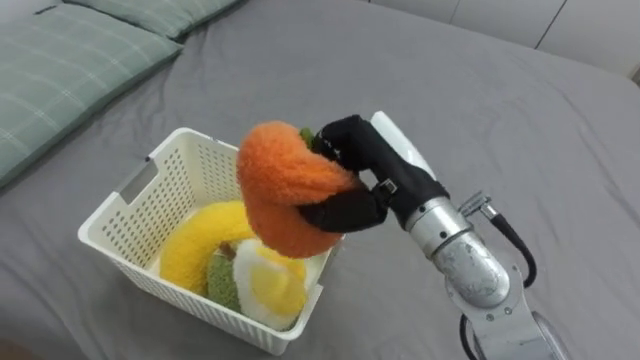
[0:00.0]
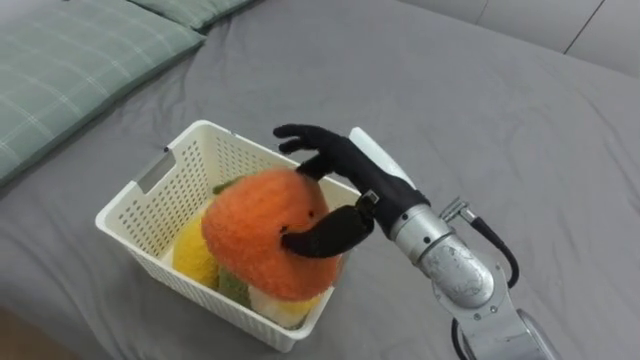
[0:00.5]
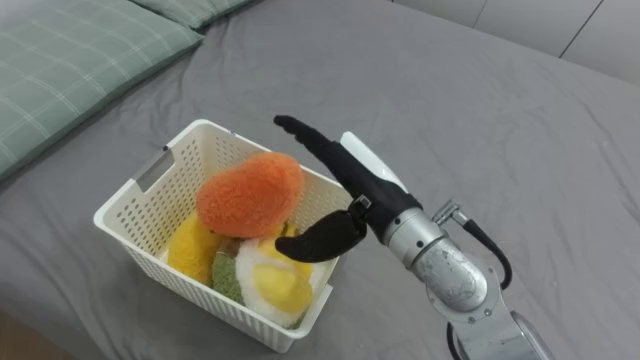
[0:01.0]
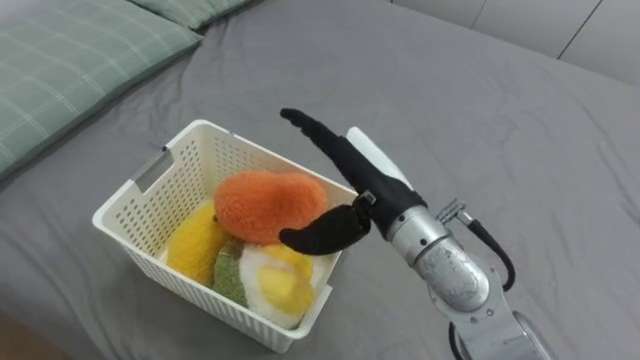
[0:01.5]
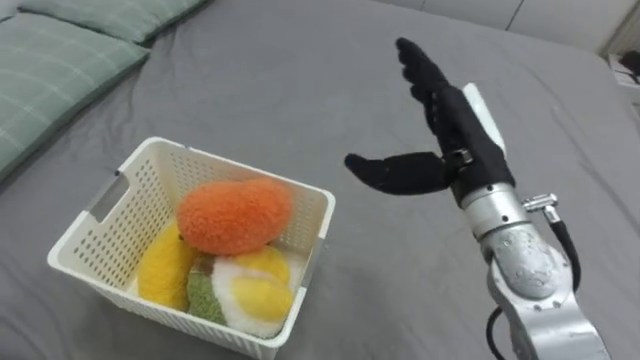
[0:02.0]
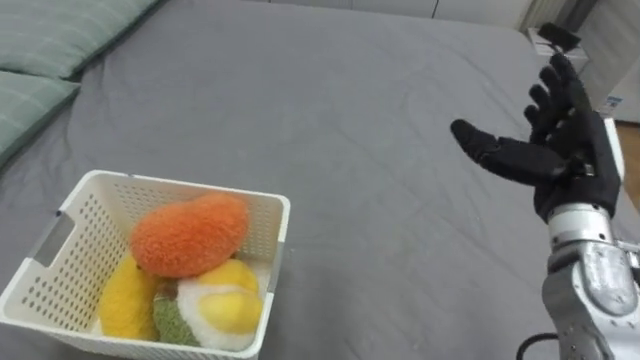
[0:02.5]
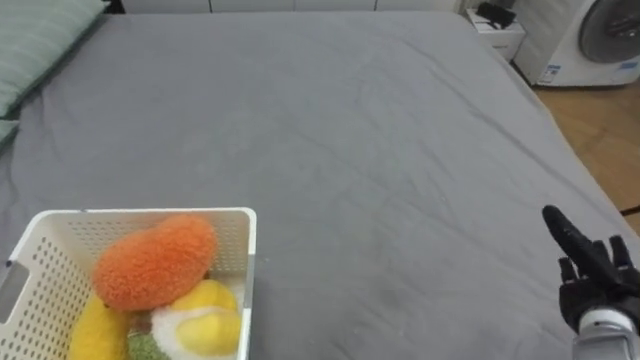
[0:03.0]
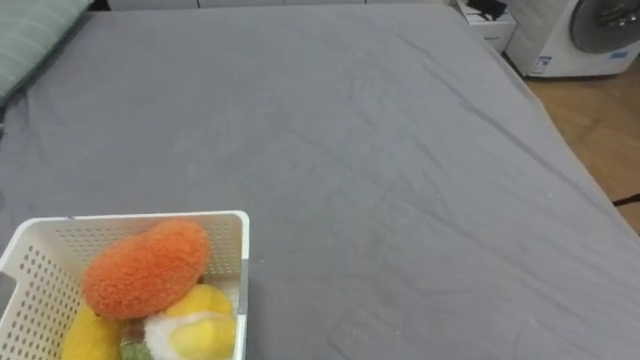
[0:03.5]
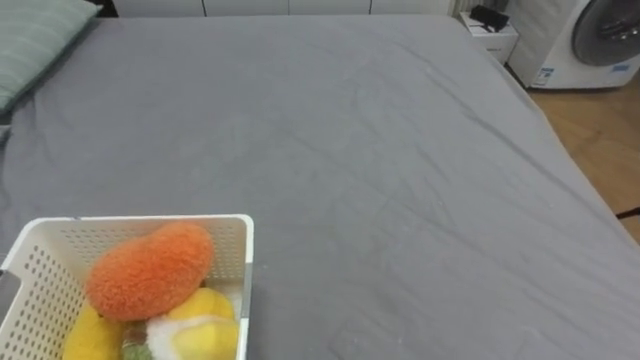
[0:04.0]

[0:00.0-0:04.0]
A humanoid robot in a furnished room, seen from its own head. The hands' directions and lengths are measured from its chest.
Task of the whole recording: Put the toys on the bed into the basket on the left.
0:00.0 to 0:02.0: The right hand moves to the right, approximately 5 cm, and opens its fingers.

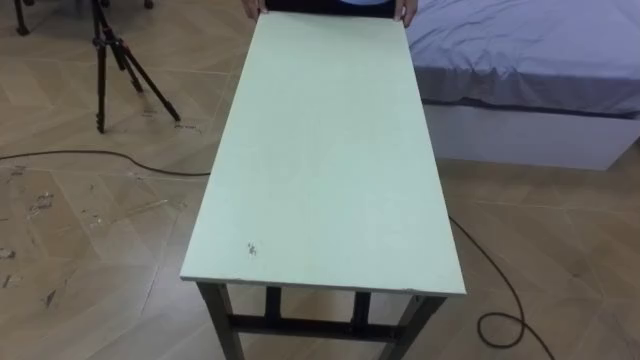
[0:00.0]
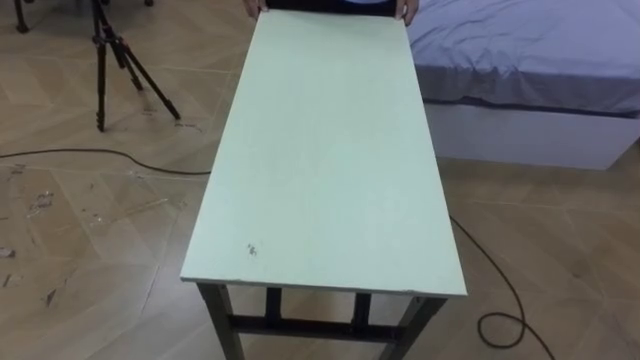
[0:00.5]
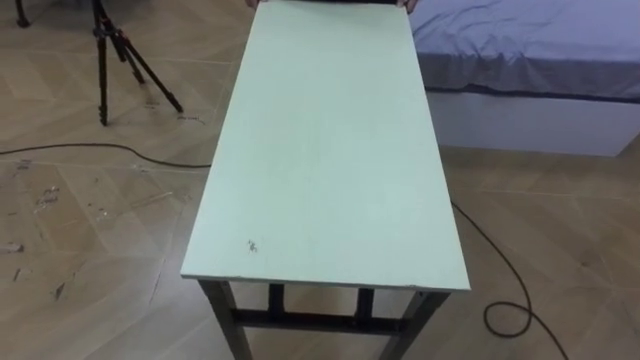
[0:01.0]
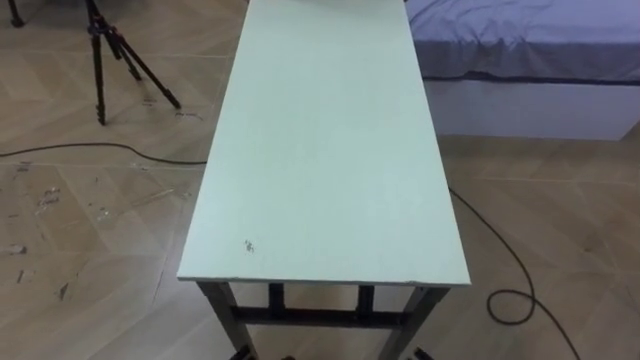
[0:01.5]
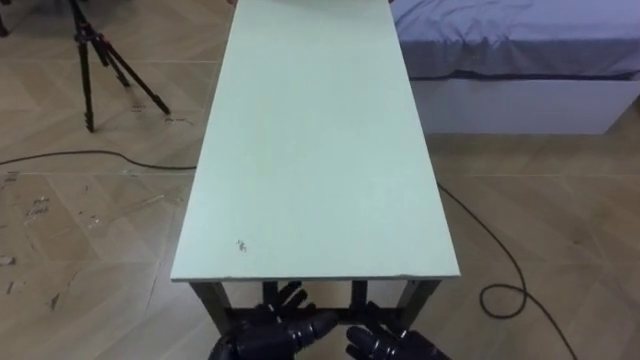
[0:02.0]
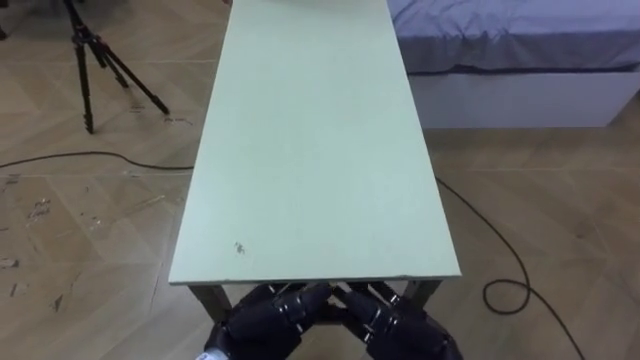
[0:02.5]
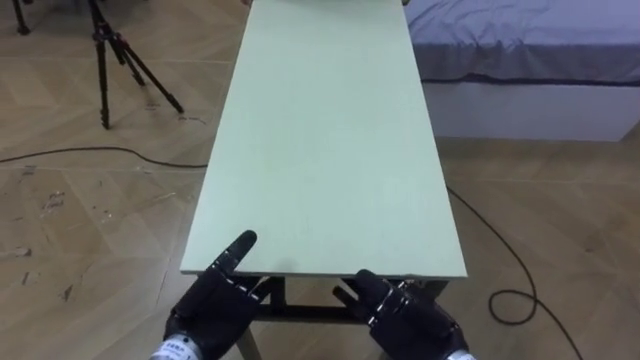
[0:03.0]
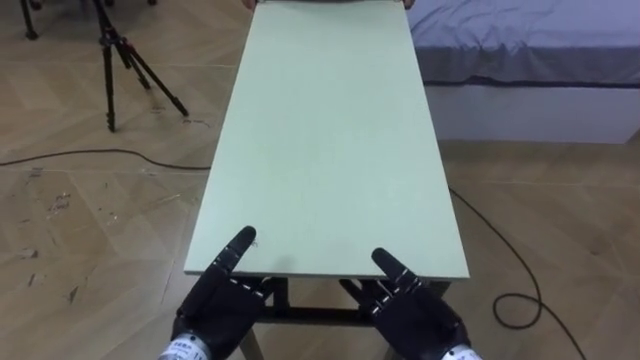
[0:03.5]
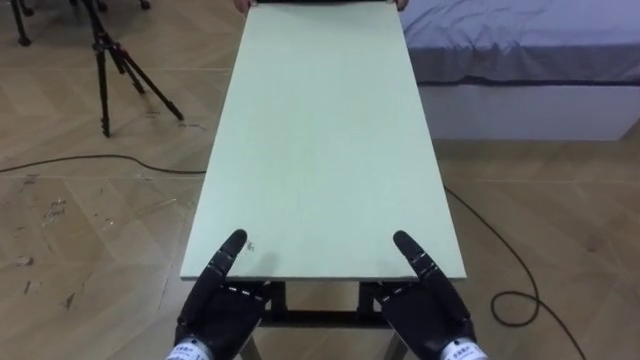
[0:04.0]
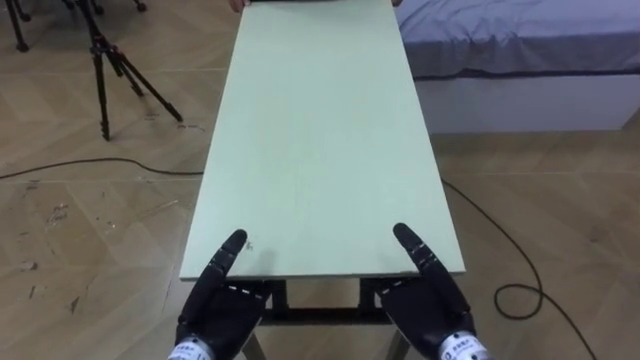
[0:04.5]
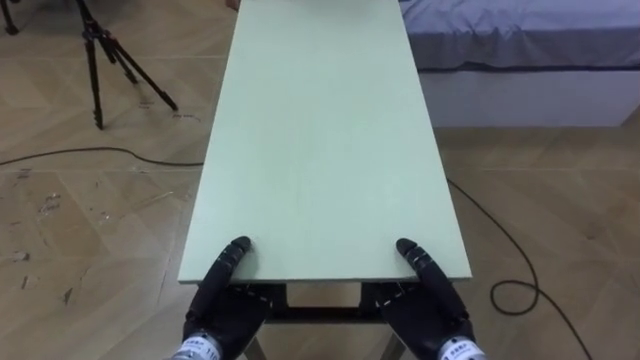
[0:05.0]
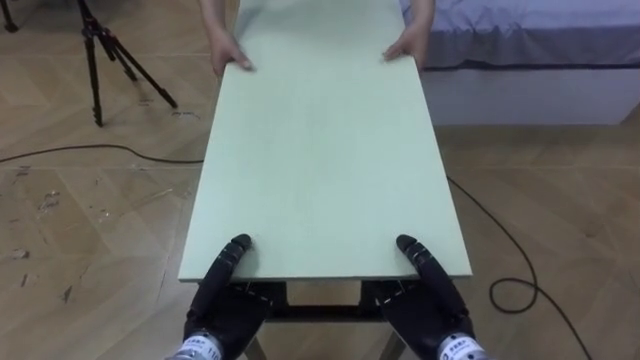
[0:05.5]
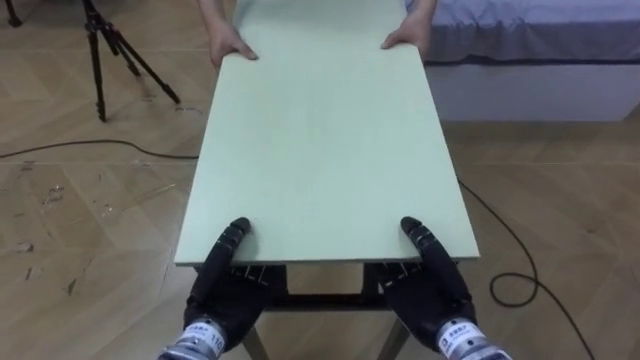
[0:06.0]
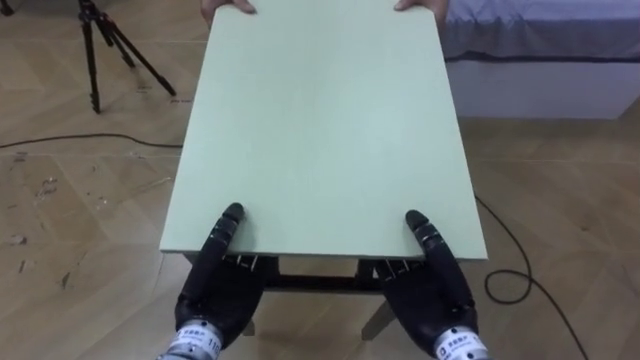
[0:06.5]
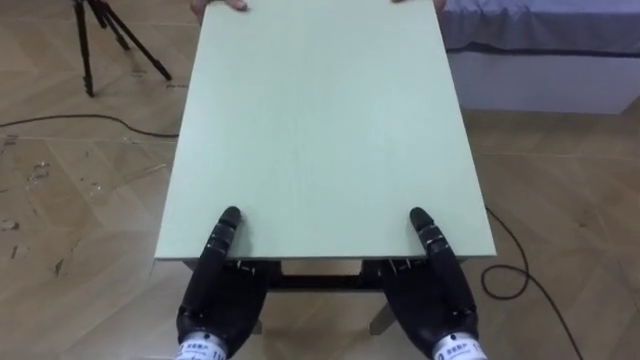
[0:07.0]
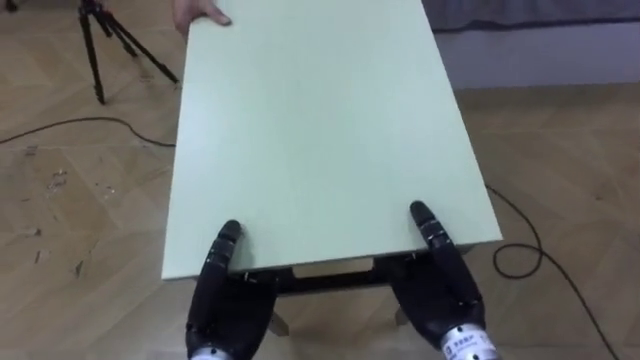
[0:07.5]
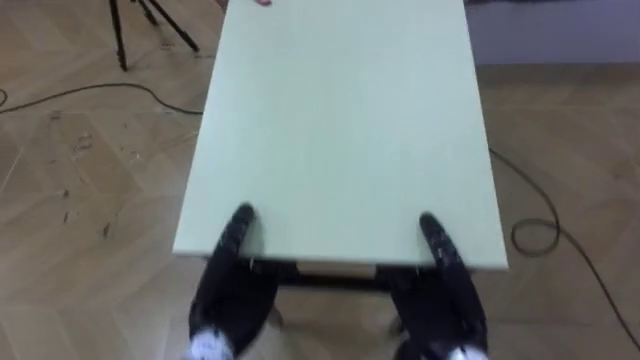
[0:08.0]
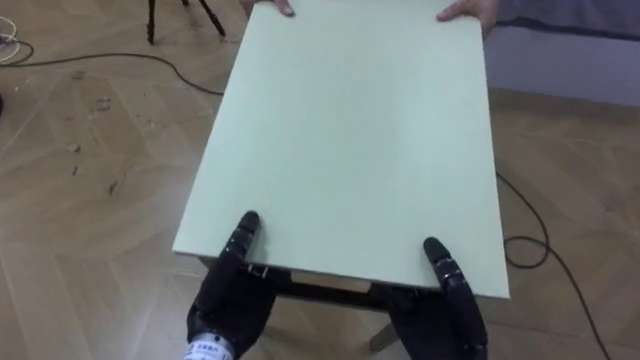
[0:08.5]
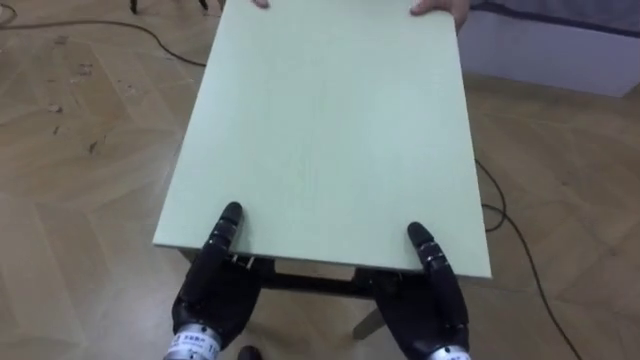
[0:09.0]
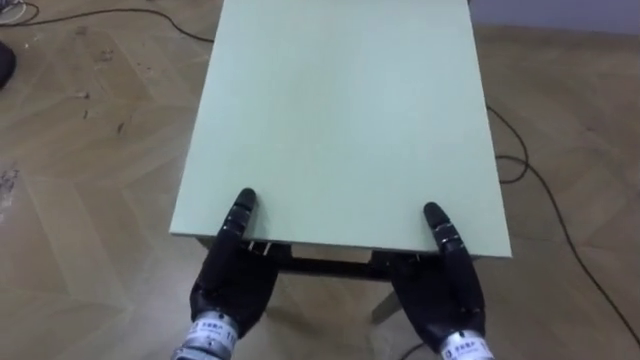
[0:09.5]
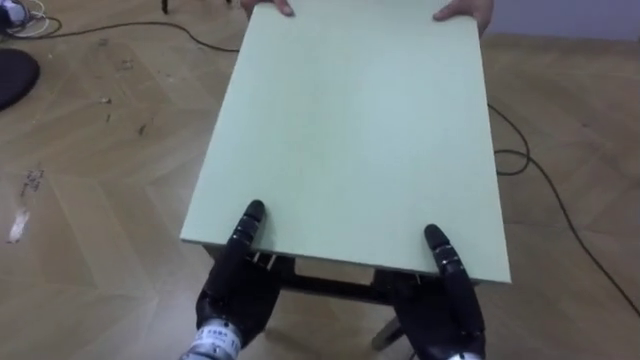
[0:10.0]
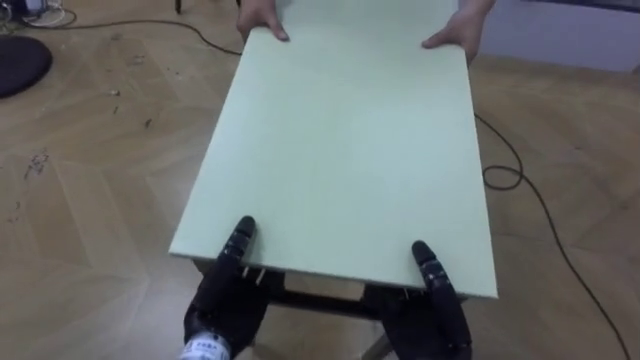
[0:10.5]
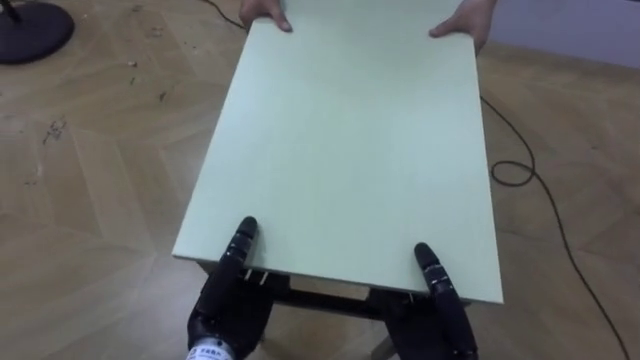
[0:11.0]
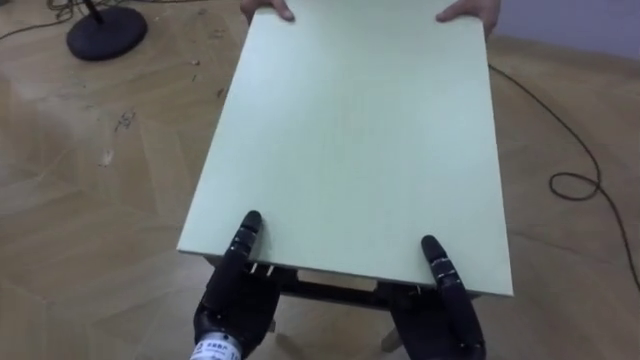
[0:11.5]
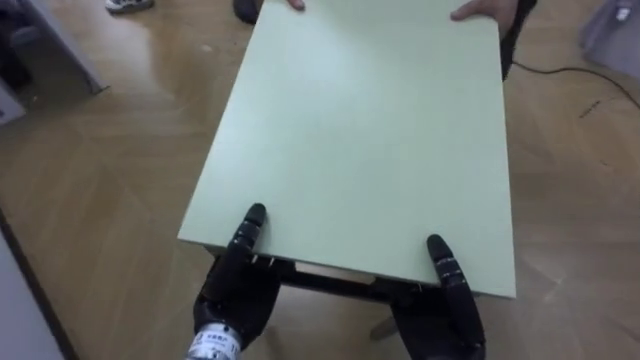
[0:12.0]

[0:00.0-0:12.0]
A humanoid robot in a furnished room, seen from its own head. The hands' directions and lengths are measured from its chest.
Task of the whole recording: Move the table to the back left with someone.
0:02.0 to 0:04.0: The left hand ends up some 5 cm from where it was.
0:04.0 to 0:06.0: The right hand closes up. Meanwhile the left hand closes its fingers.
0:10.0 to 0:12.0: The robot's body swings approximately 40 degrees to its left.

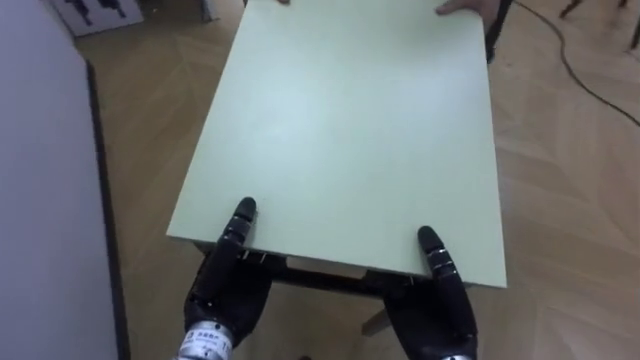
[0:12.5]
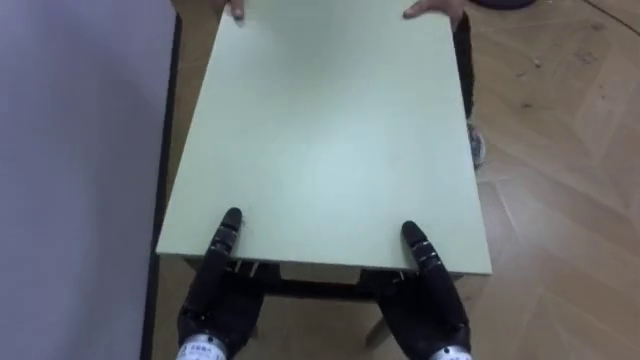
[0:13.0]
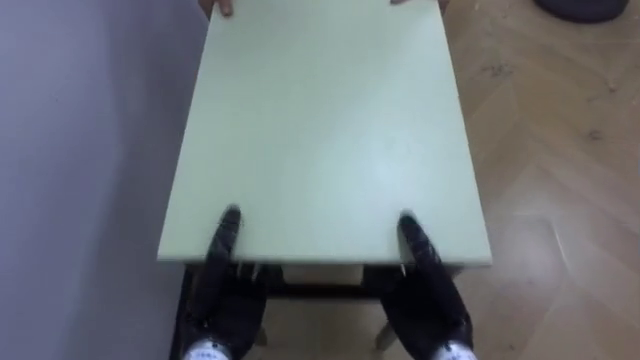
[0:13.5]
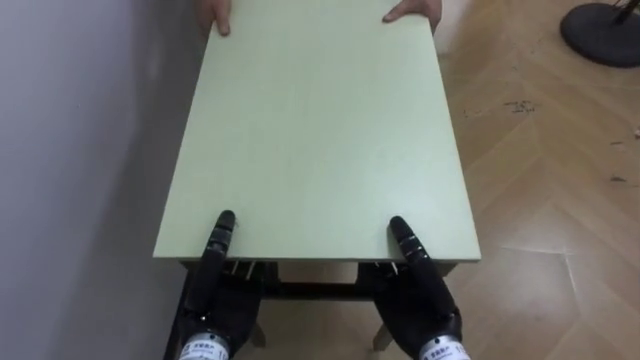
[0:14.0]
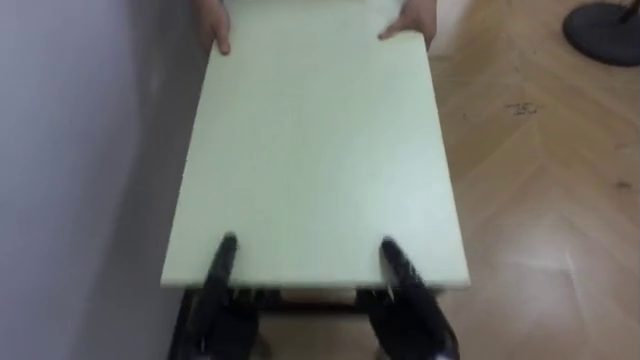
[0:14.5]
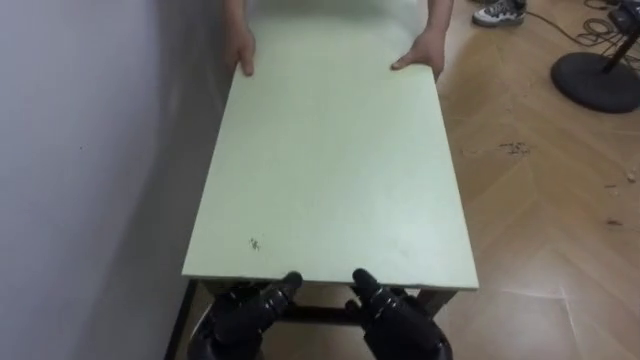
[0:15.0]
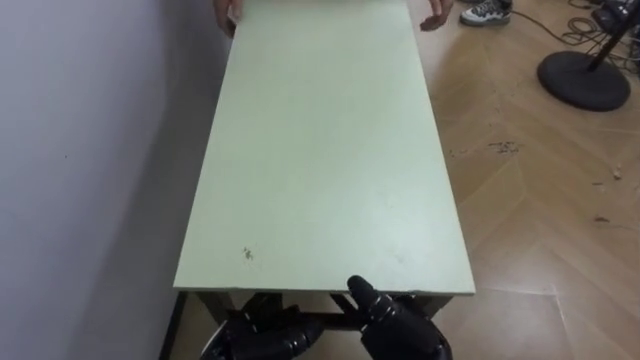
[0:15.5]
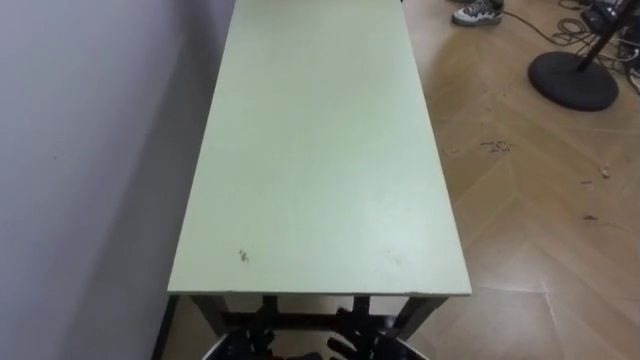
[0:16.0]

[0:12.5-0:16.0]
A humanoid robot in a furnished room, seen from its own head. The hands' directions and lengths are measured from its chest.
Task of the whole recording: Move the table to the back left with someone.
0:12.5 to 0:14.5: The robot turns to its left by roughly 30 degrees. The left hand heads downward, covering approximately 5 cm.
